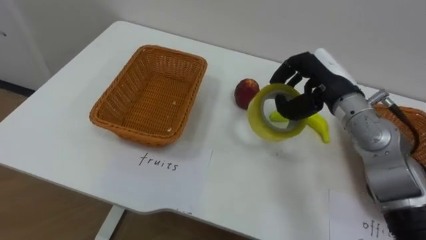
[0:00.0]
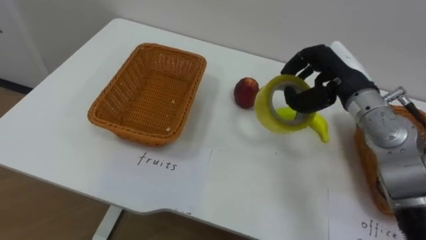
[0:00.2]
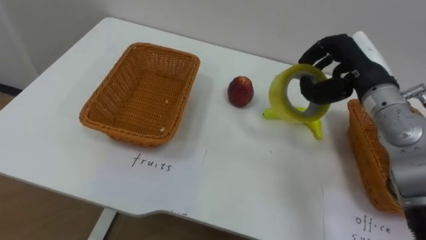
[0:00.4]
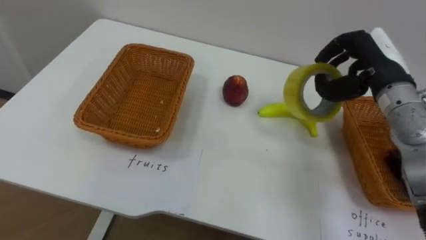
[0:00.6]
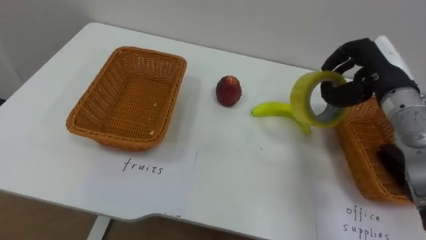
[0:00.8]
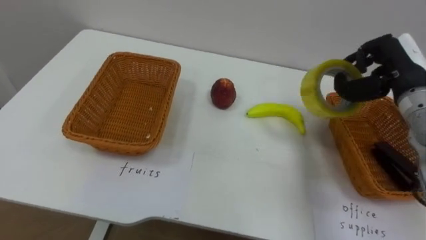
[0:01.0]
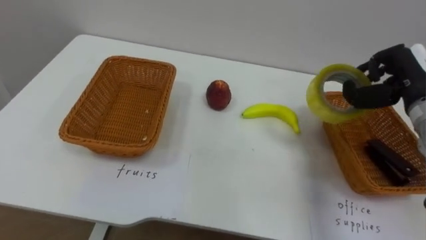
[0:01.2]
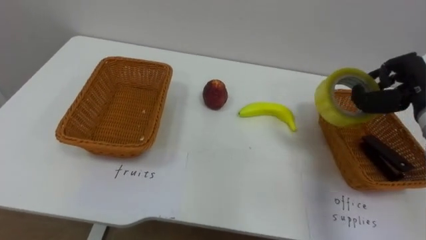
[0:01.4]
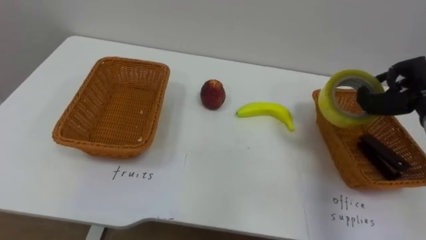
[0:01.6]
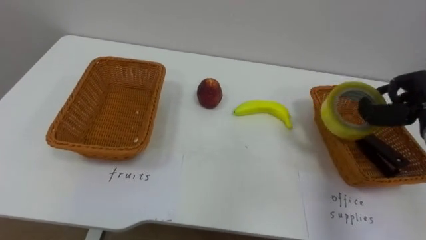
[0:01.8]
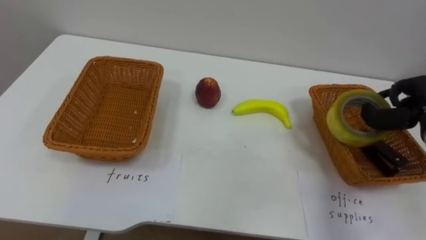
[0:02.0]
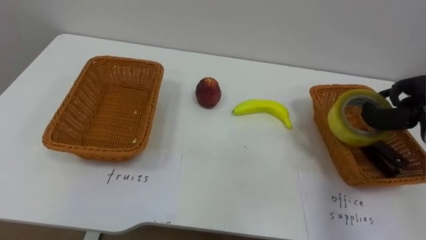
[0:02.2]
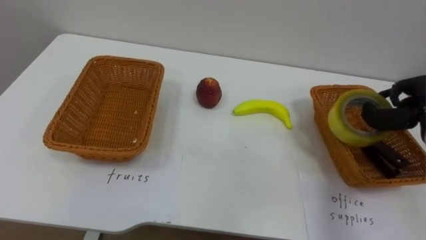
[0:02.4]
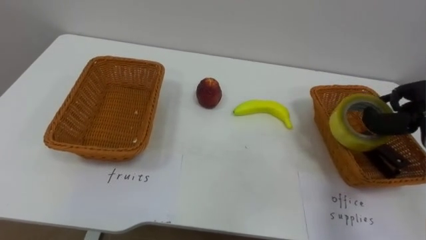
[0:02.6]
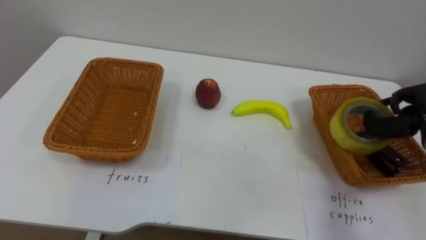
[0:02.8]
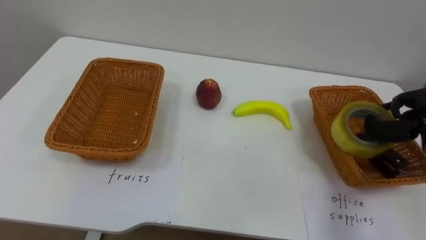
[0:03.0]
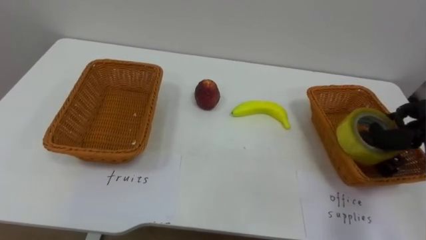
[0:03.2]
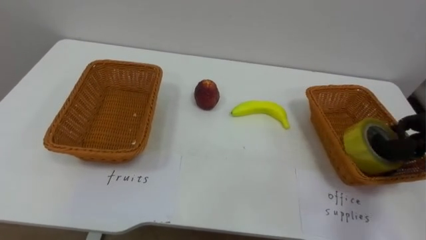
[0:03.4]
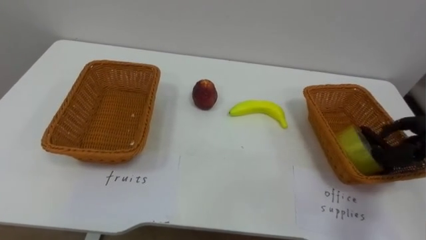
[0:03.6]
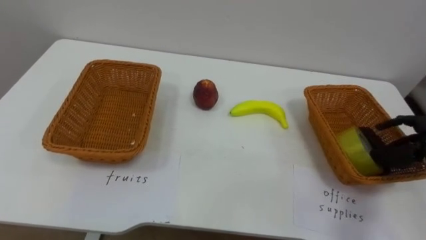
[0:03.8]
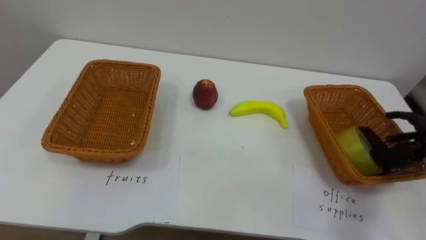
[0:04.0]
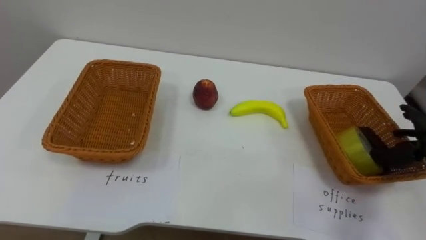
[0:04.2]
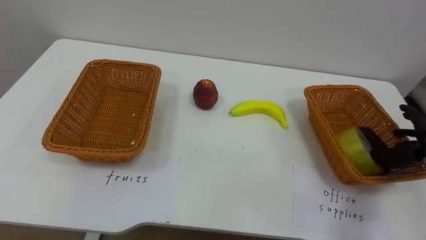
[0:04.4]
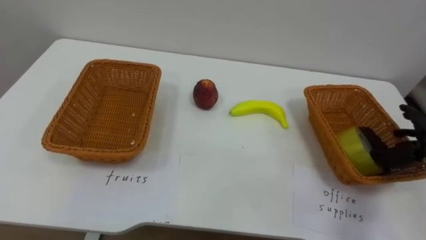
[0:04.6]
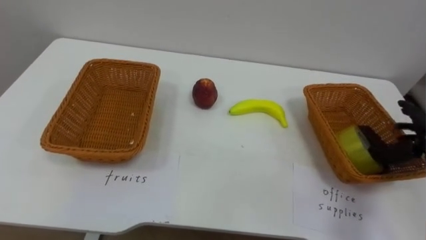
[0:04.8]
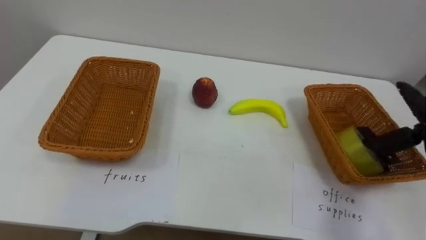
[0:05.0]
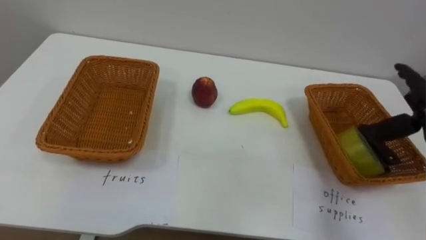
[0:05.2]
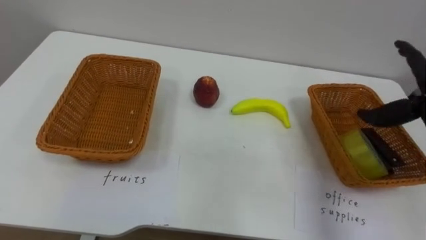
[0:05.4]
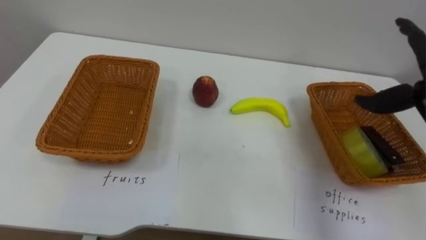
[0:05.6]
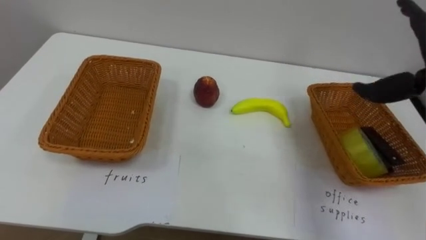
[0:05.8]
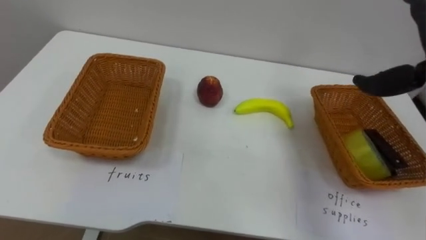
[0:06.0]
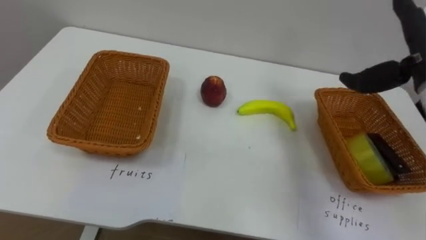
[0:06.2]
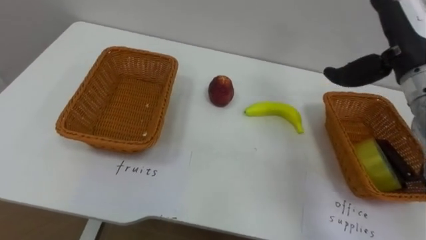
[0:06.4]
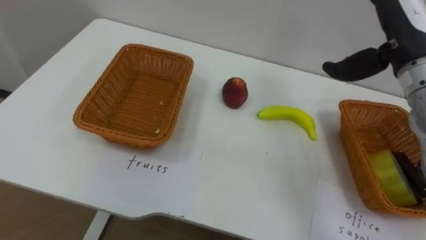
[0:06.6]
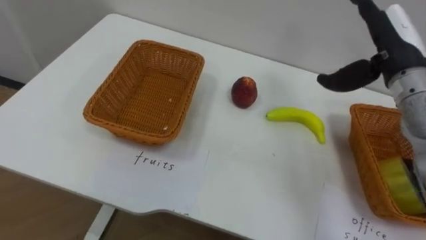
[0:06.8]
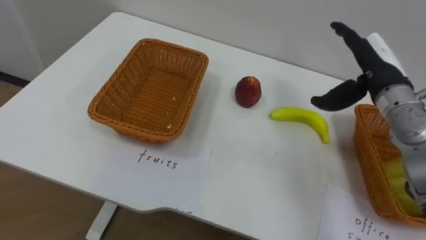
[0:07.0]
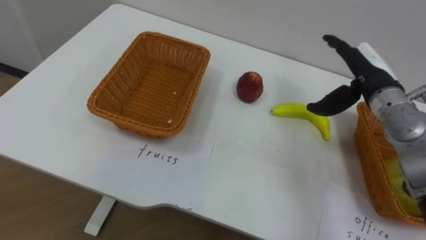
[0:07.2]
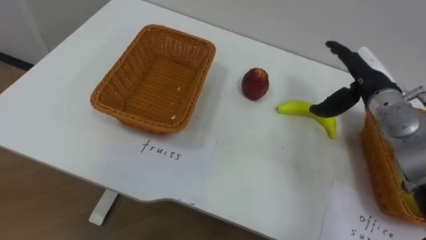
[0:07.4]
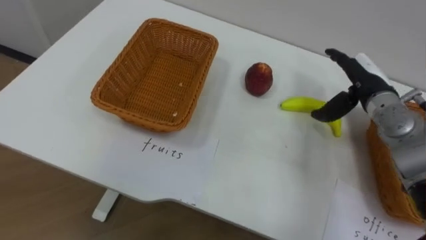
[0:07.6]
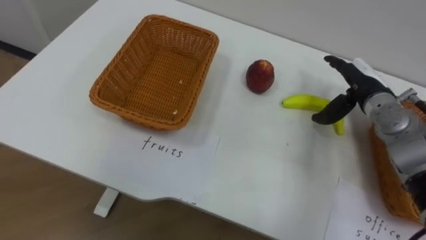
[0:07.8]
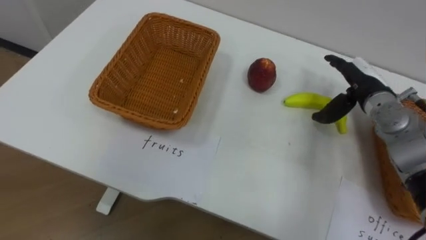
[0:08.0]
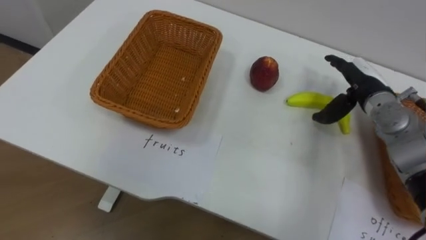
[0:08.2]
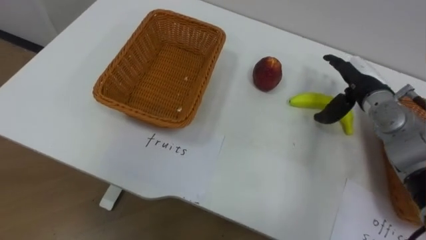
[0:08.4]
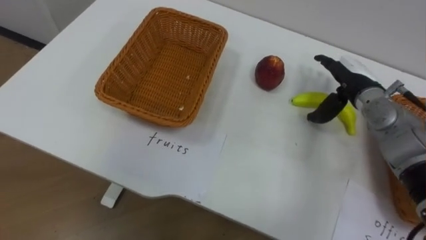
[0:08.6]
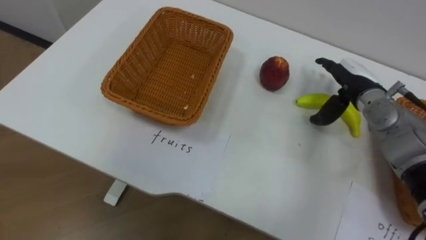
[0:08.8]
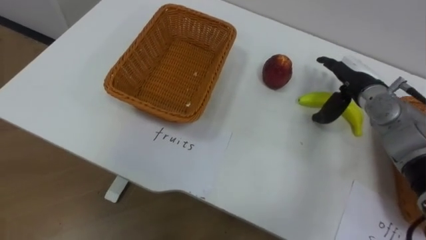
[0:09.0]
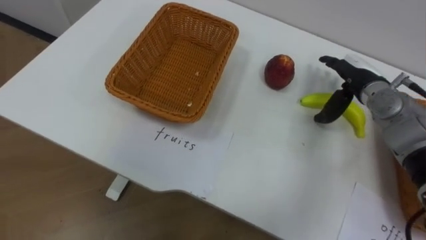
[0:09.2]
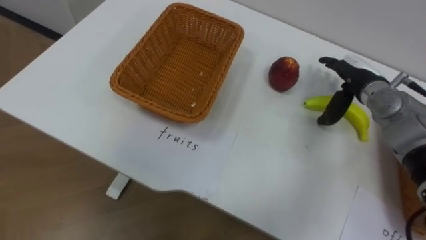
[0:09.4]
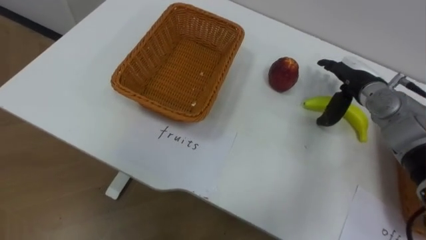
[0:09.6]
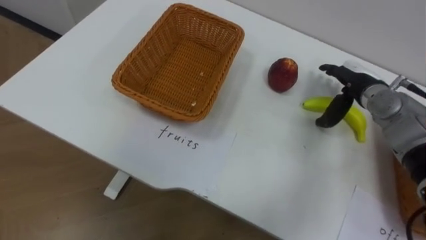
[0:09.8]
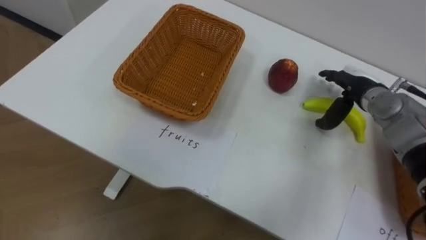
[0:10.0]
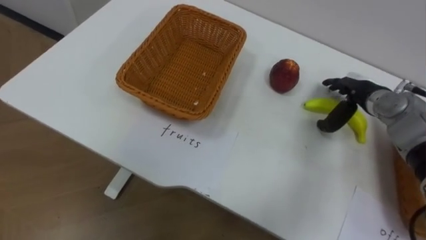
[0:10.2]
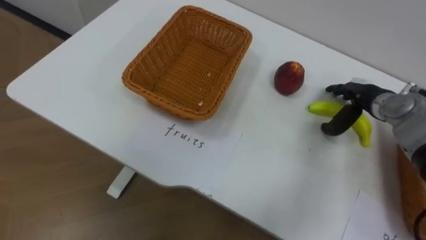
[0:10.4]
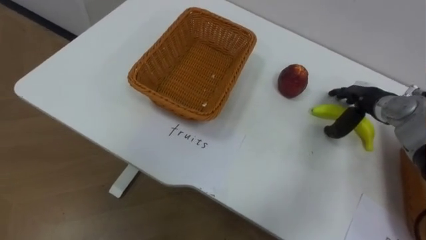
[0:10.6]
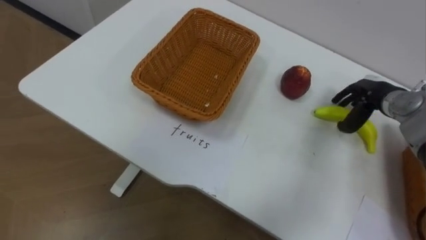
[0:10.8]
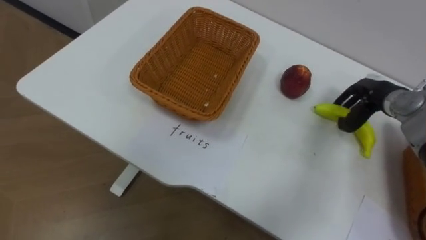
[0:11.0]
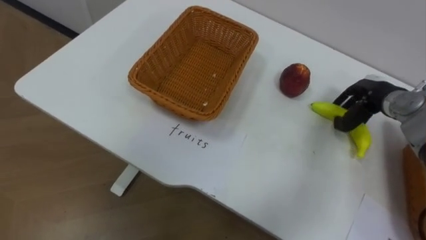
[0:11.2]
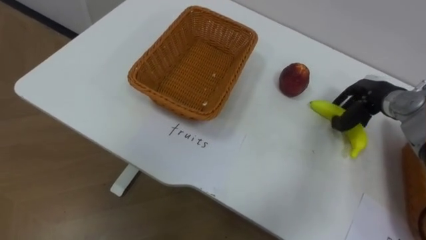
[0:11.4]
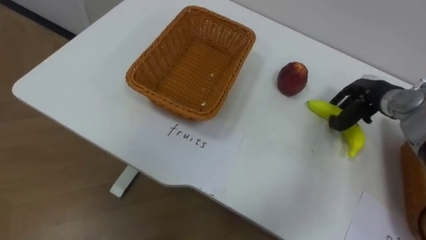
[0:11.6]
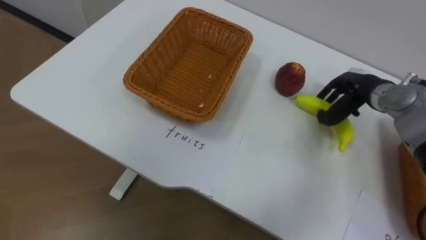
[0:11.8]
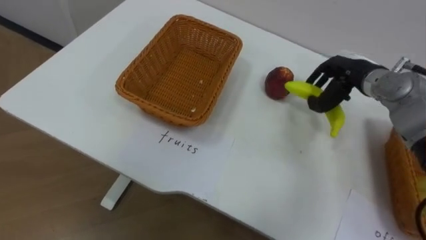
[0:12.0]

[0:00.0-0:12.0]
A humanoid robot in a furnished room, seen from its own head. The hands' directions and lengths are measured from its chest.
Task of the whole recording: Separate the items on the table and place them into the two baskets.
0:00.0 to 0:01.6: The right hand is displaced to the right by some 15 cm.
0:10.4 to 0:12.0: The right hand travels upward by some 5 cm, and closes its fingers.

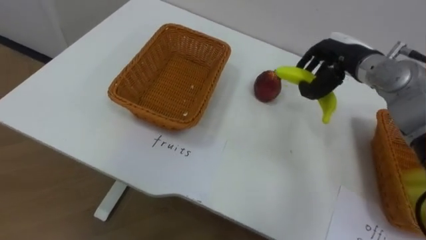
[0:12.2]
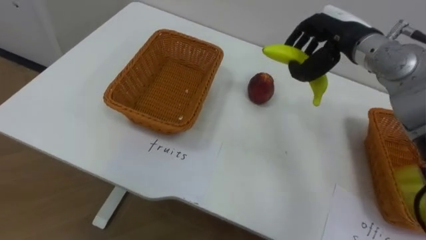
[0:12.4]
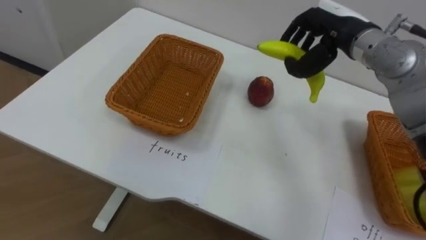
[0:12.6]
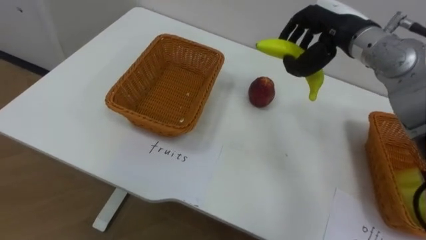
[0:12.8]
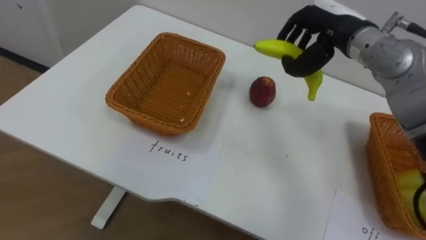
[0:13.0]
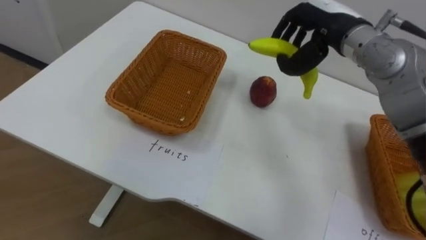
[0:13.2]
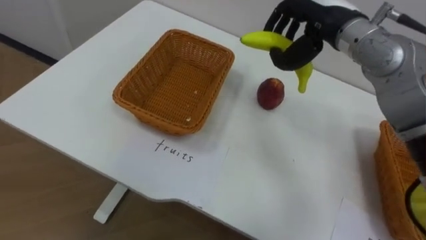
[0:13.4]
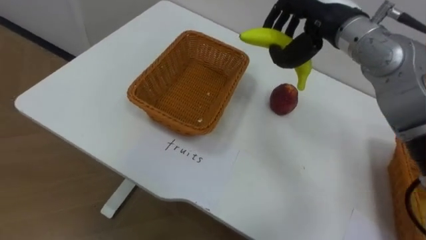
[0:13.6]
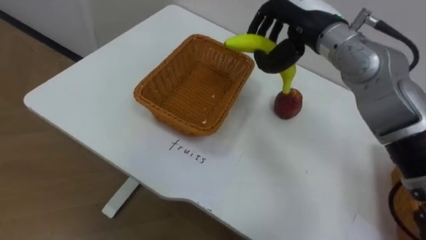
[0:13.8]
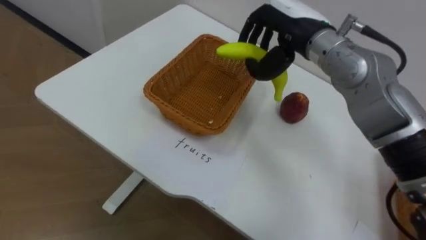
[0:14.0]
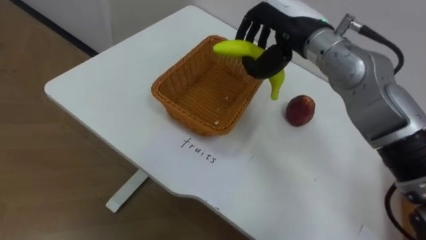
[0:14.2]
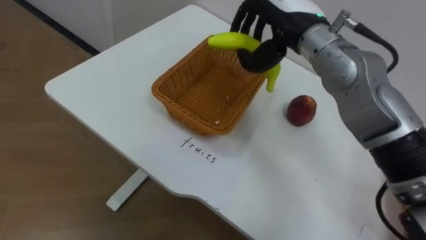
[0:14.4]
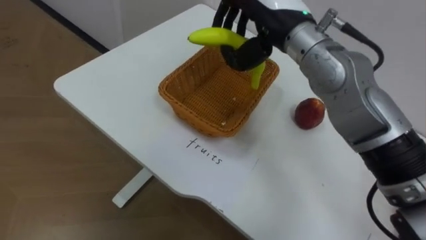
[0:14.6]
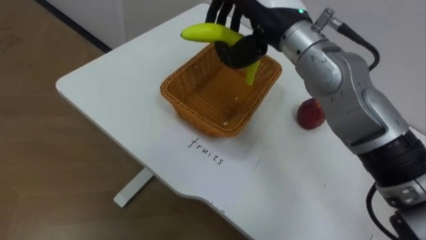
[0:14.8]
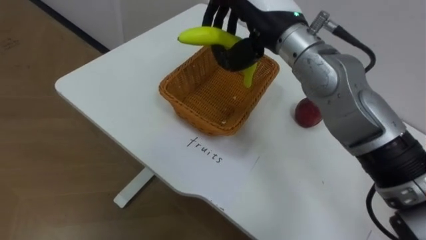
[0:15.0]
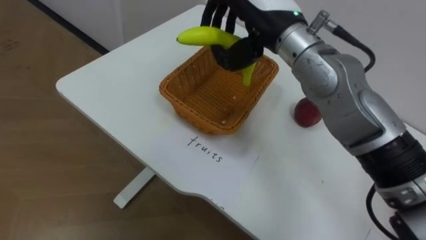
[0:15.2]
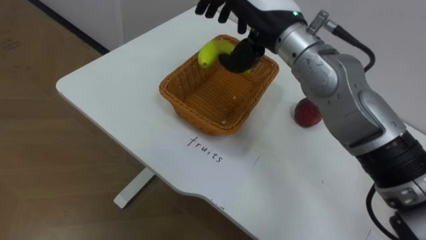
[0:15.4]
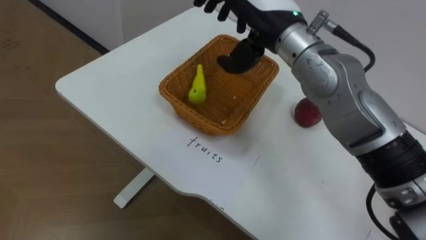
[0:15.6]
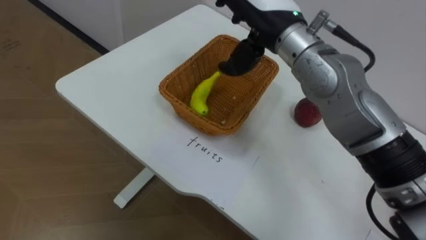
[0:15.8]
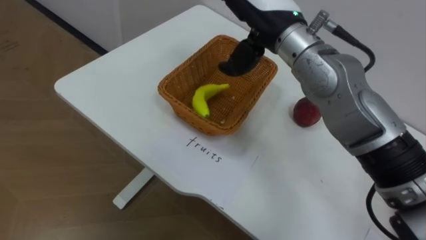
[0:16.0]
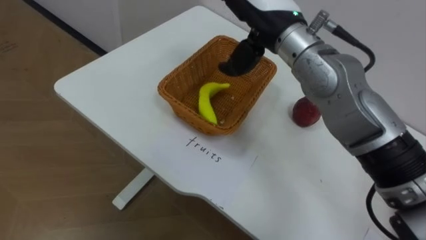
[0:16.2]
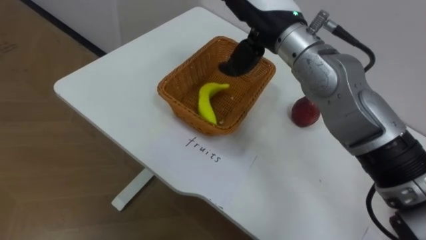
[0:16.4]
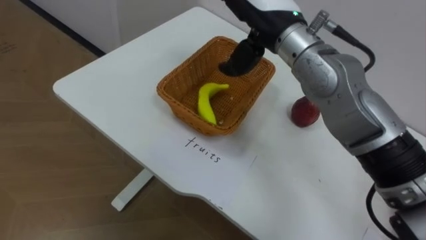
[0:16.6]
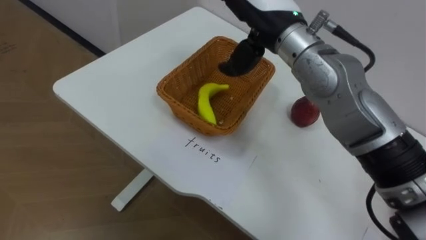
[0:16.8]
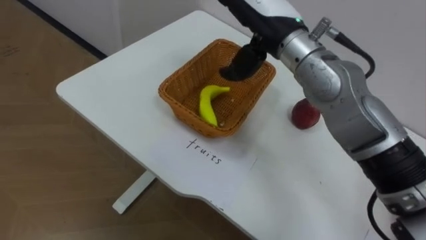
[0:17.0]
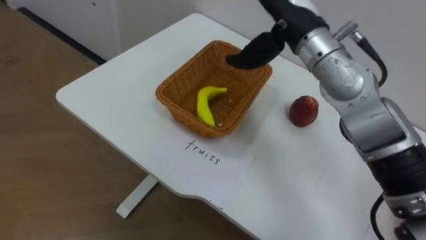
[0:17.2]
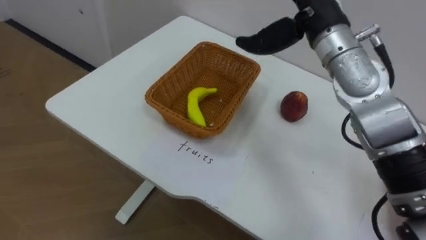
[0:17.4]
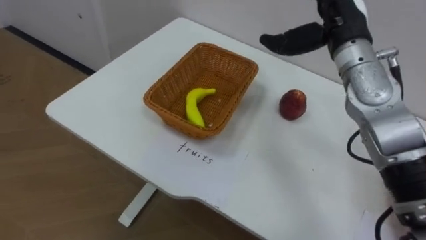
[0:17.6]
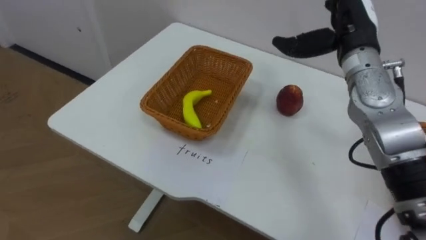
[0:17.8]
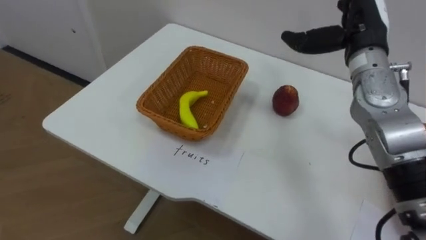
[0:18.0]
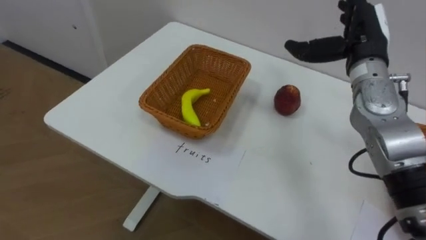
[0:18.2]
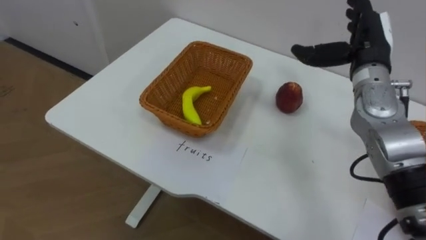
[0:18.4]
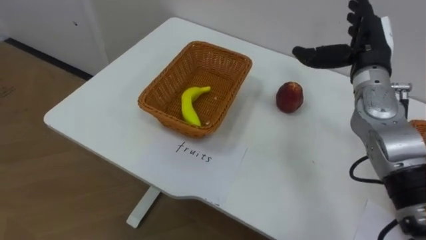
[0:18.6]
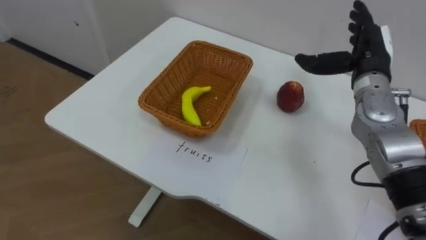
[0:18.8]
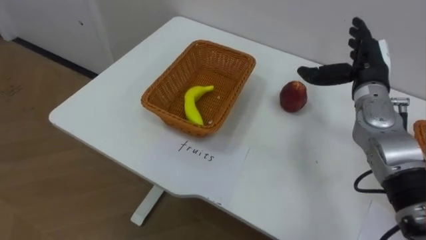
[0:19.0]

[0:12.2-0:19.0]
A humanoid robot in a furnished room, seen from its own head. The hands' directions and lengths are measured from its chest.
Task of the whole recording: Separate the items on the table and place them into the two baskets.
0:12.2 to 0:13.6: The right hand moves upward and to the left, some 10 cm.
0:13.6 to 0:15.0: The right hand travels to the left by about 10 cm.
0:15.0 to 0:16.2: The right hand opens up.
0:16.2 to 0:17.6: The right hand shifts about 10 cm to the right.
0:17.6 to 0:19.0: The right hand shifts about 15 cm downward and to the right.
